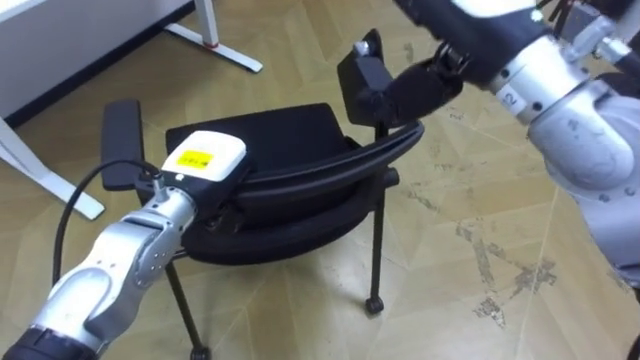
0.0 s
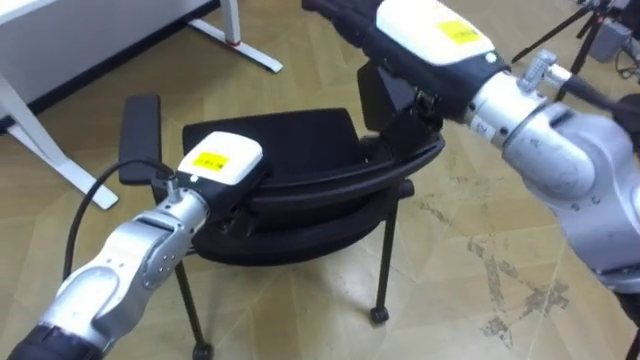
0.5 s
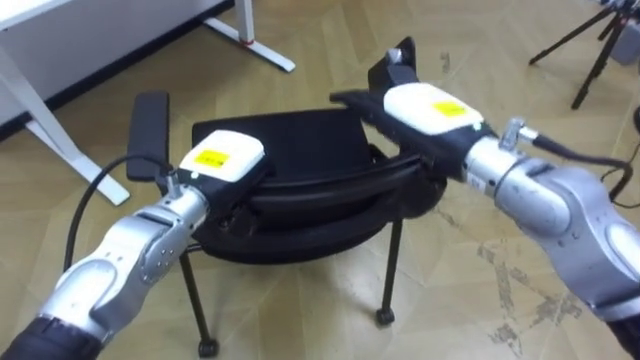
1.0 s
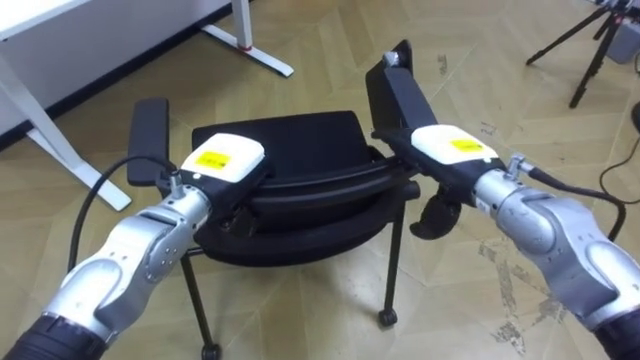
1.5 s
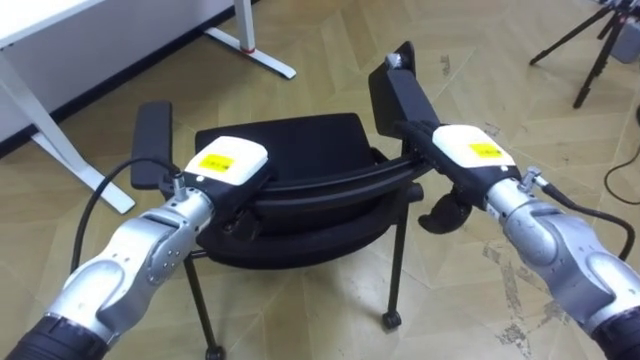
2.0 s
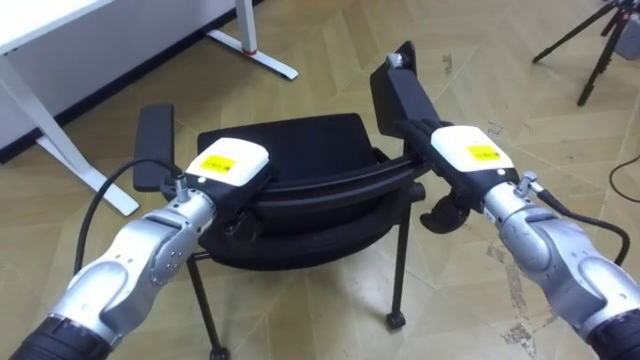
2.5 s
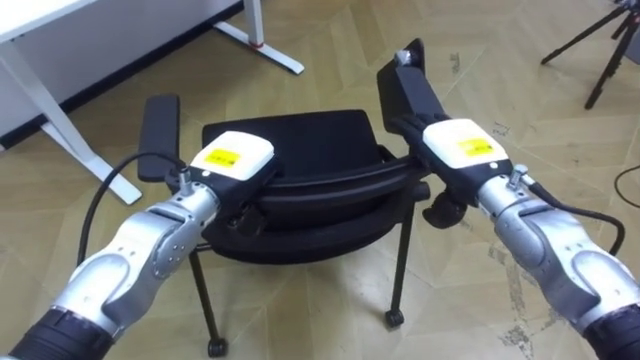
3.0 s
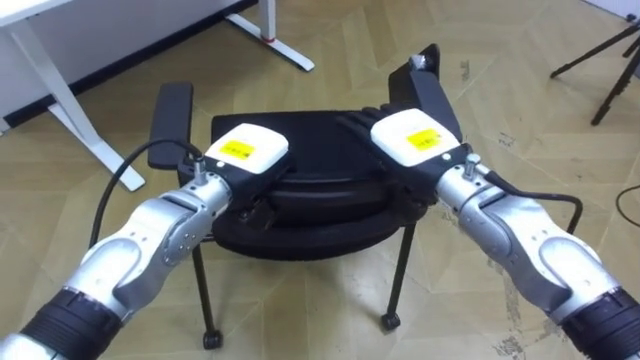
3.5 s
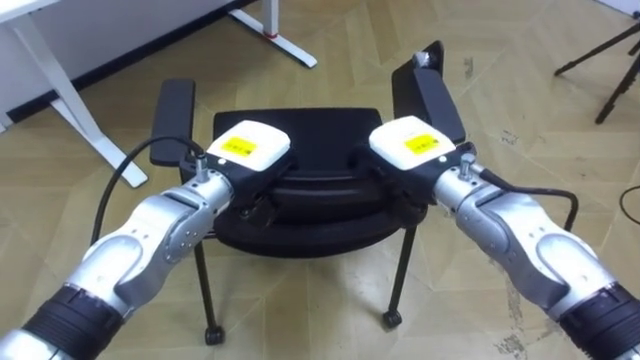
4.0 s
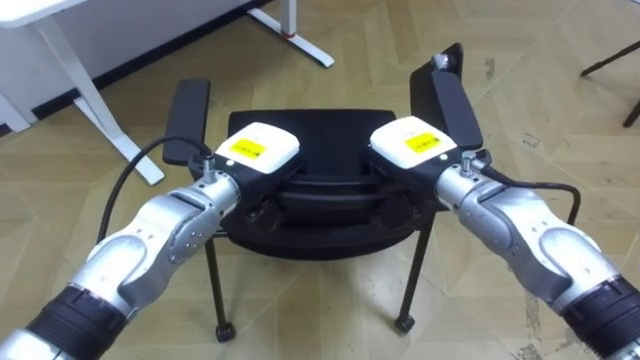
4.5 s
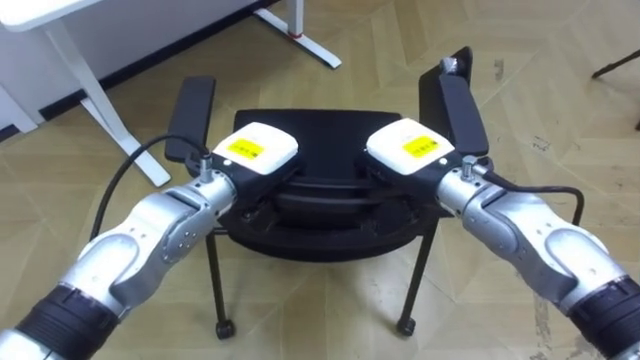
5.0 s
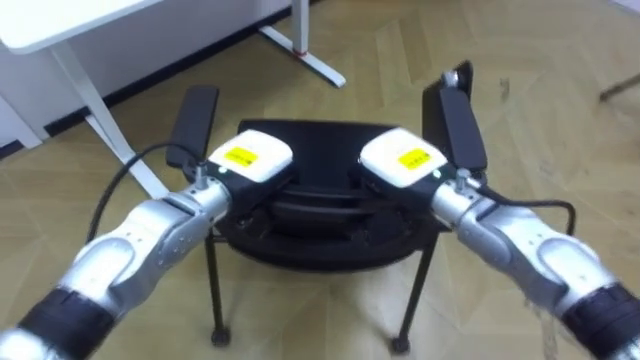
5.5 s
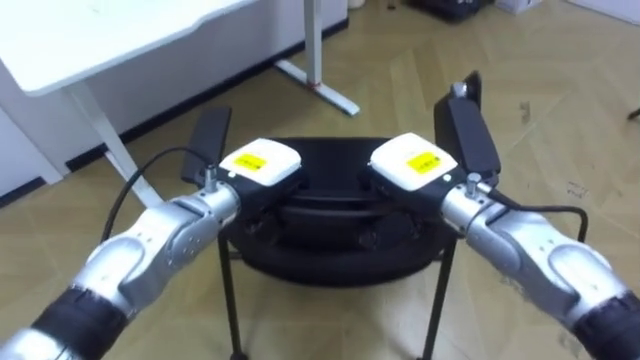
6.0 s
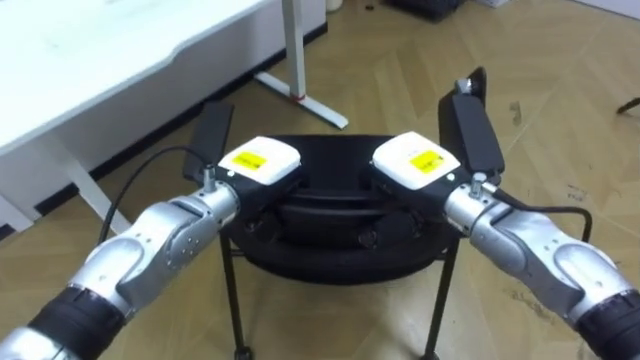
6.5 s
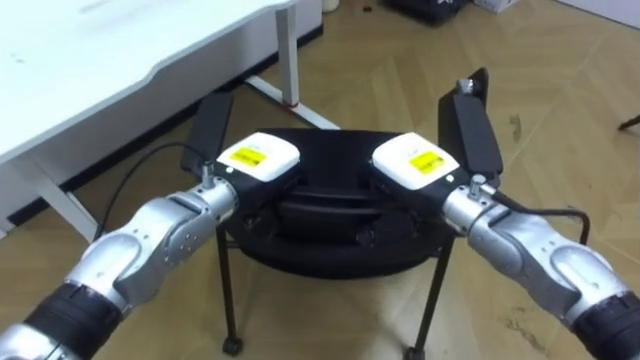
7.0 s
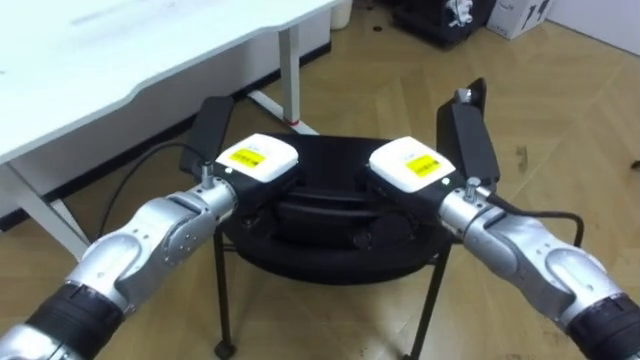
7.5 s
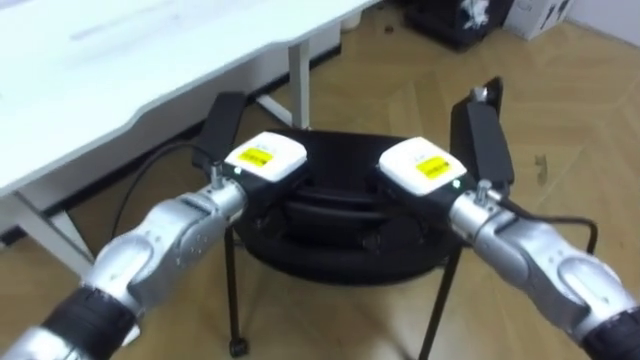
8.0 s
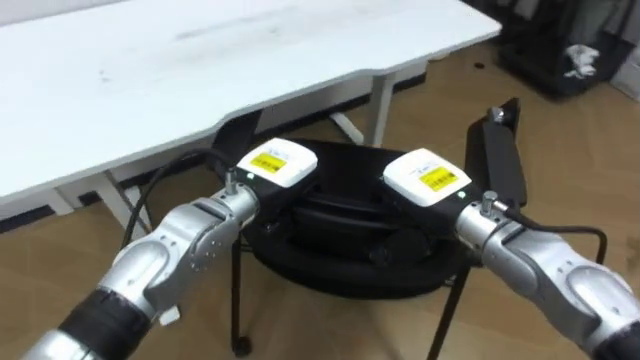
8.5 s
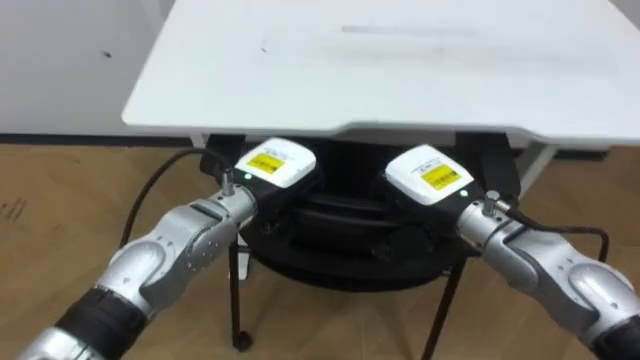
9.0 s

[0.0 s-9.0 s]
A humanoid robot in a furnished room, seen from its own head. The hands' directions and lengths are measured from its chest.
Task of the whole recording: Push the chair under the table.
0.0 to 2.0 s: The right hand travels downward by roughly 25 cm.
2.0 to 4.5 s: The right hand shifts about 5 cm to the left, and closes.
7.0 to 9.0 s: The robot faces approximately 50 degrees further to its left.

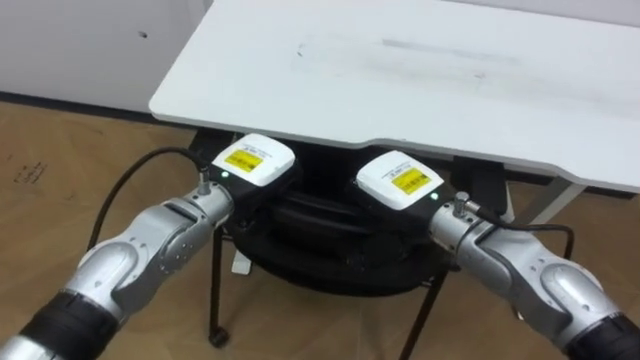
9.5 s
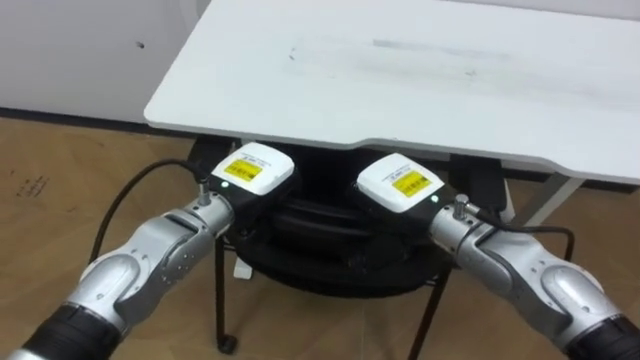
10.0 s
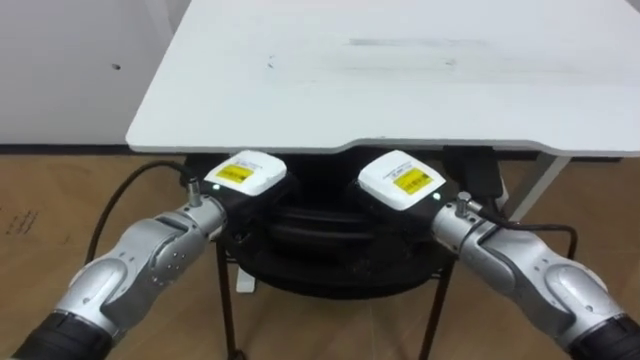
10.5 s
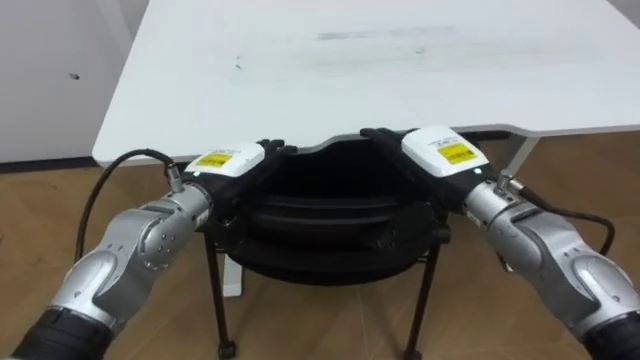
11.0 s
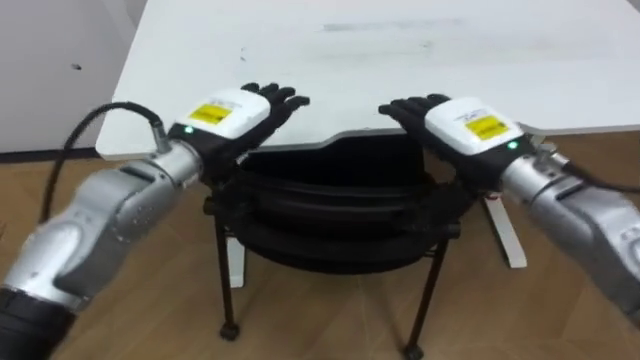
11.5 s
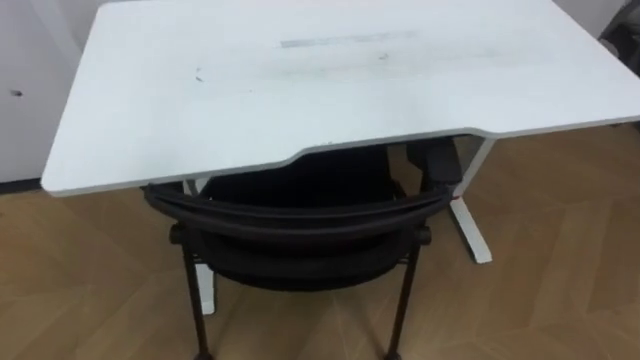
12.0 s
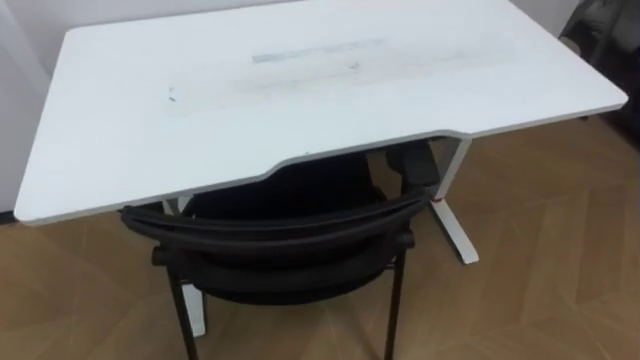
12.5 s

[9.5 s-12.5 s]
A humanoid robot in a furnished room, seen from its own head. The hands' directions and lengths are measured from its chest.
Task of the whole recording: Push the chair under the table.
9.5 to 11.0 s: The left hand opens up. Meanwhile the right hand heads to the right, covering approximately 5 cm, and opens its fingers.

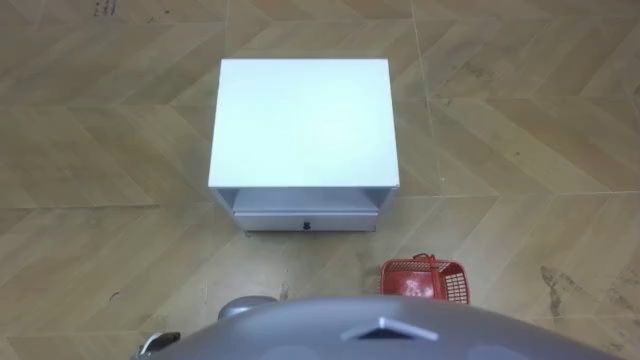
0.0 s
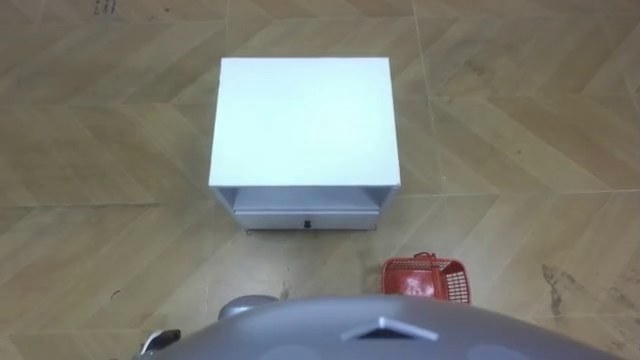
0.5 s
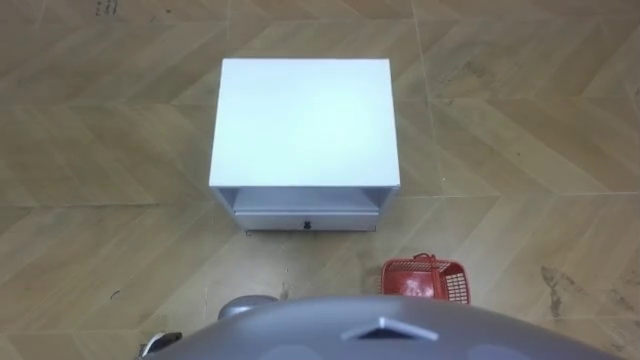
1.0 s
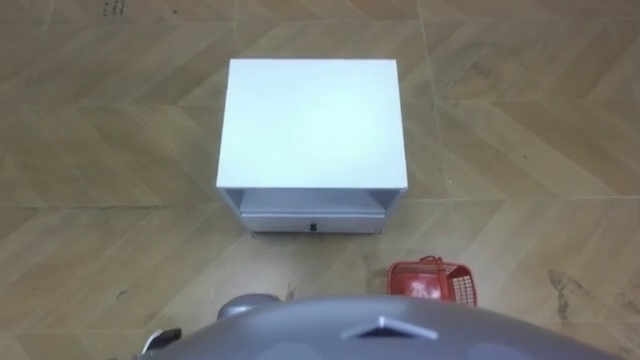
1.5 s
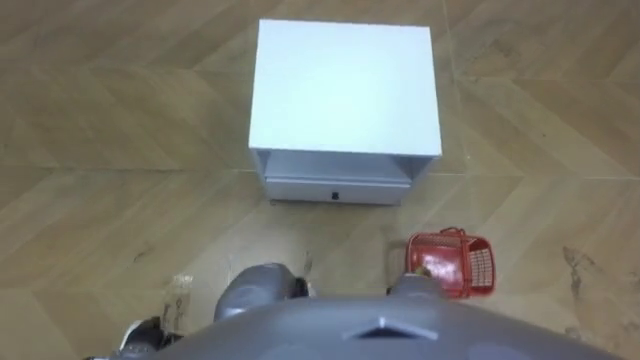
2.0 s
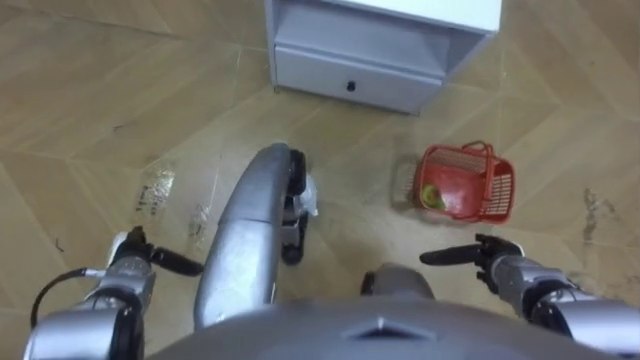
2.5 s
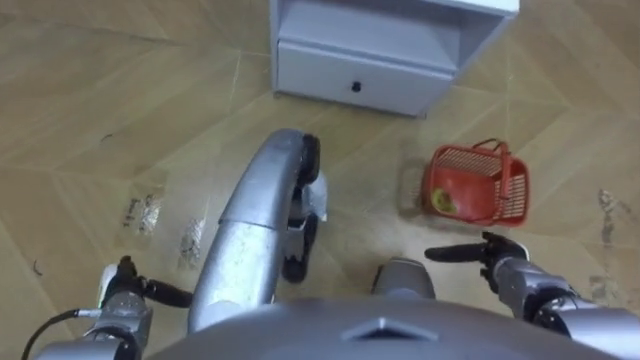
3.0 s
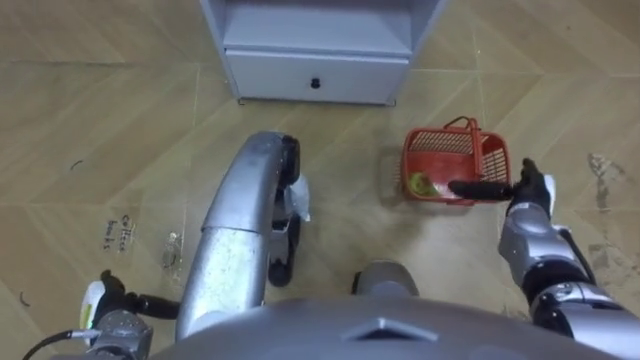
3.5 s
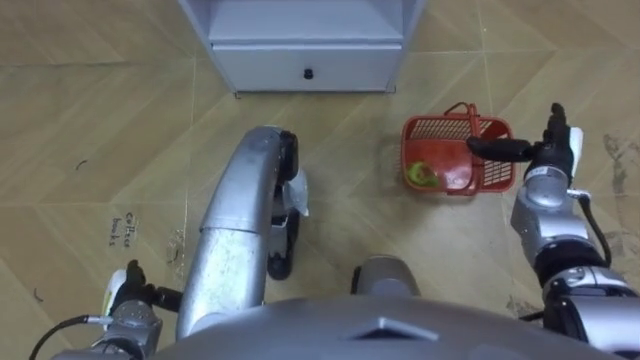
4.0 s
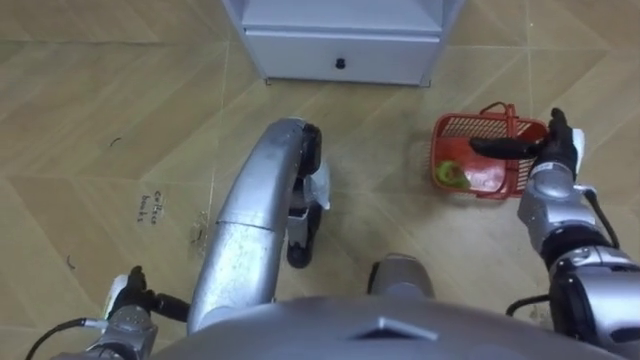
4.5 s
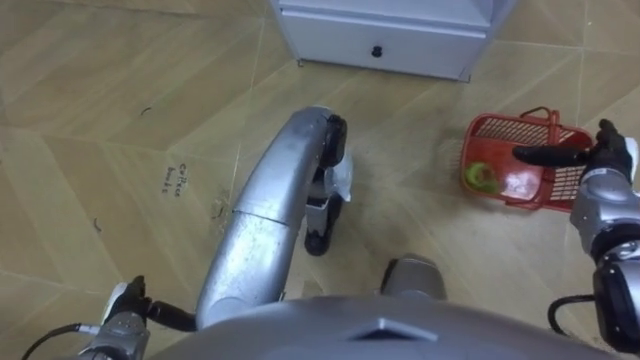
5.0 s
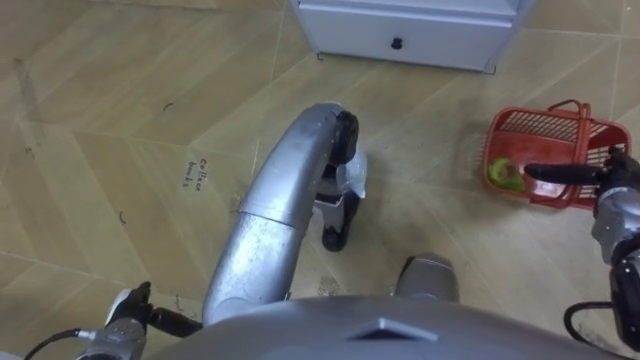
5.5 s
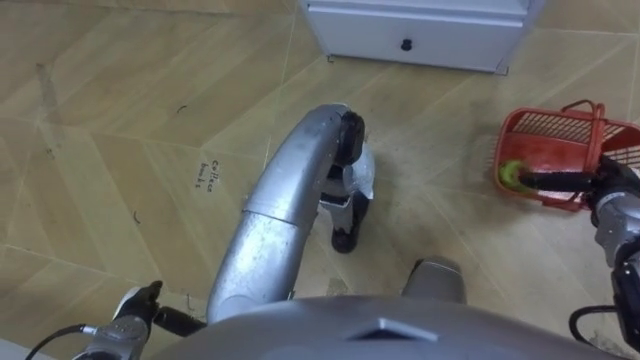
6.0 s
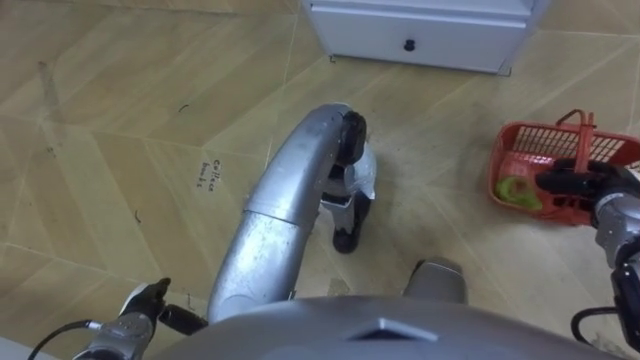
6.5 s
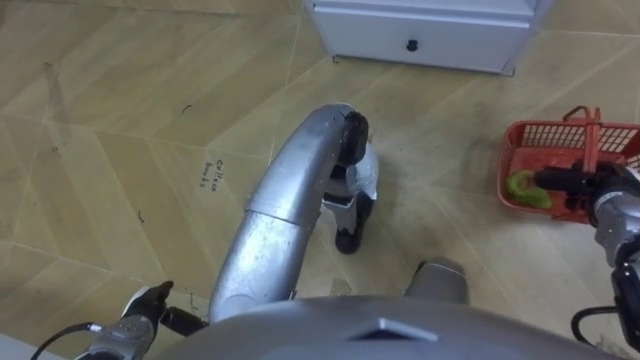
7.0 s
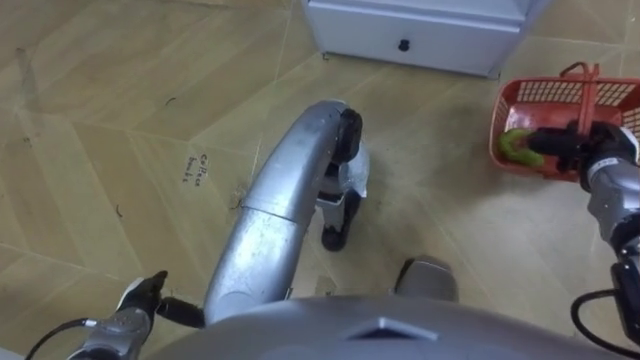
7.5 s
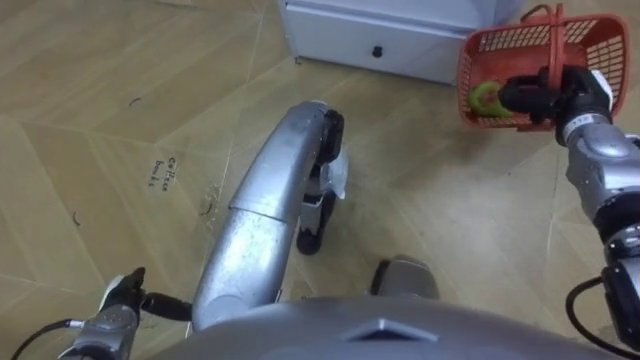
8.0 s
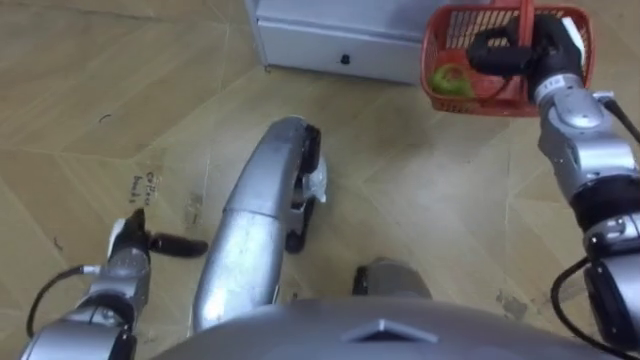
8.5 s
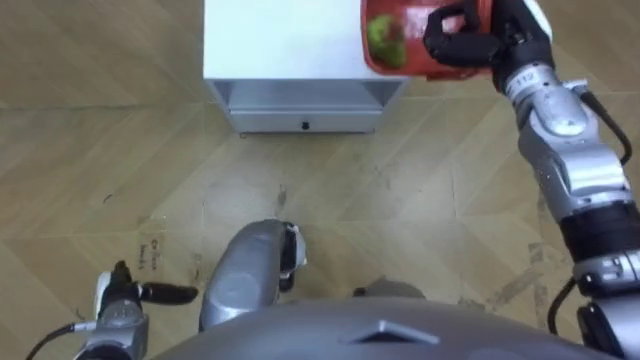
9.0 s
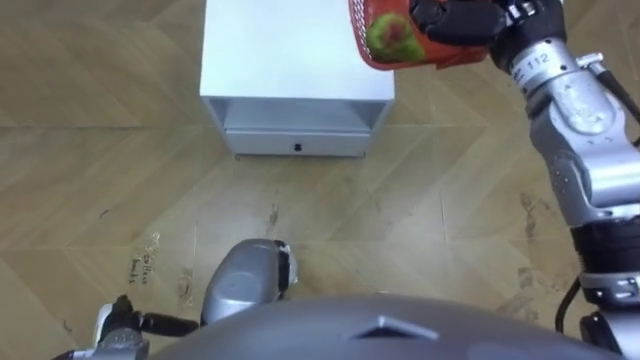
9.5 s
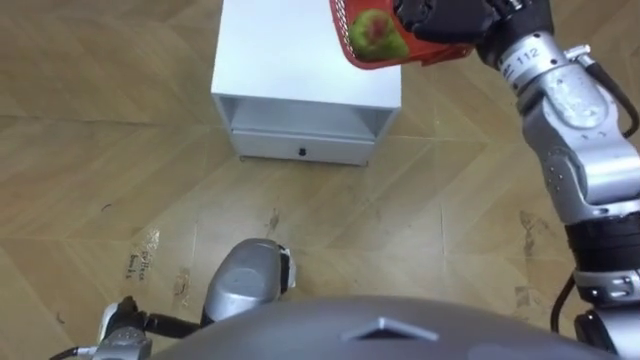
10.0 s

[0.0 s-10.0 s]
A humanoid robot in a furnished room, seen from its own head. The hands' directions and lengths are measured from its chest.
Task of the whole recording: Pick up the fruit basket from the floor and place it on the cabinet.
2.0 to 4.0 s: The left hand goes roughly 5 cm forward, while the right hand is displaced forward and upward by approximately 30 cm.
4.0 to 6.0 s: The right hand shifts some 10 cm to the right.
6.0 to 8.0 s: The right hand goes some 15 cm forward, to the left and upward, and closes up.
8.0 to 10.0 s: The left hand travels forward and back again, some 10 cm each way. Meanwhile the right hand moves upward and to the left, roughly 25 cm.
